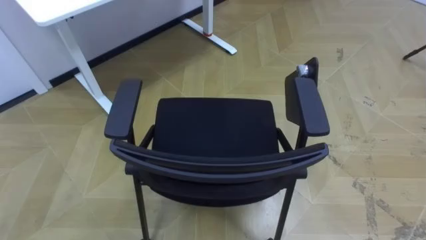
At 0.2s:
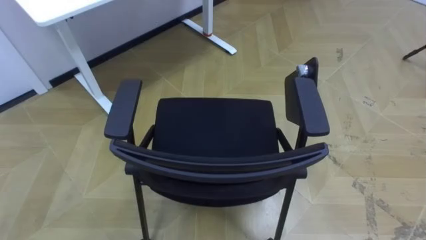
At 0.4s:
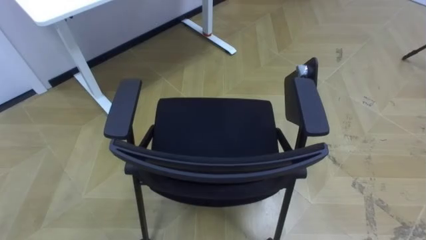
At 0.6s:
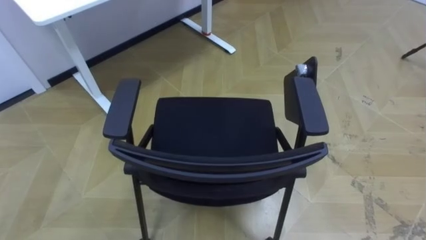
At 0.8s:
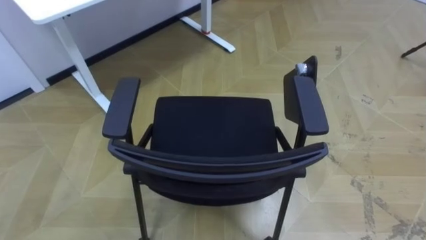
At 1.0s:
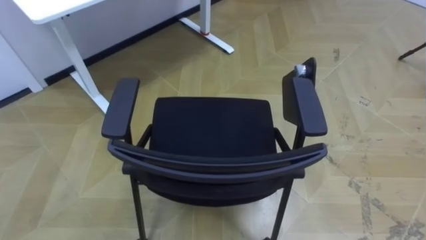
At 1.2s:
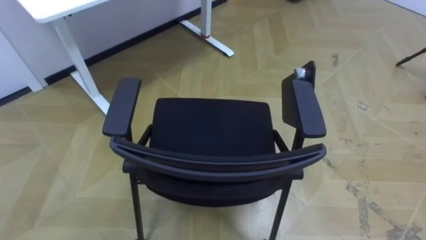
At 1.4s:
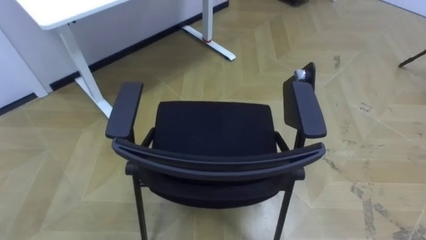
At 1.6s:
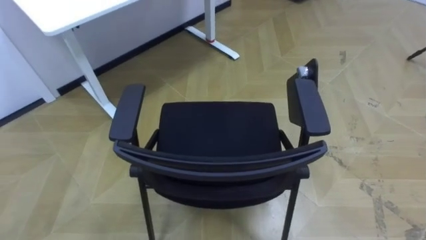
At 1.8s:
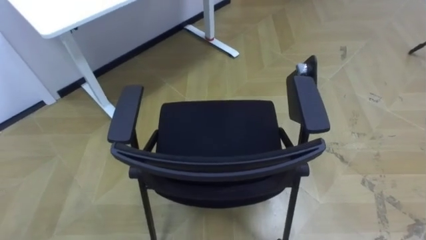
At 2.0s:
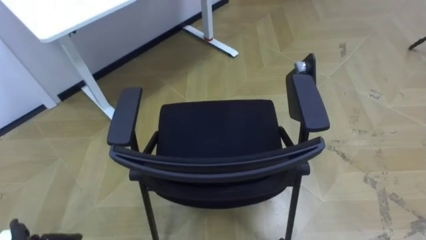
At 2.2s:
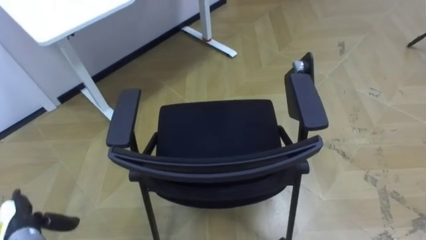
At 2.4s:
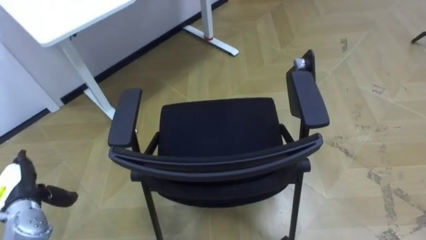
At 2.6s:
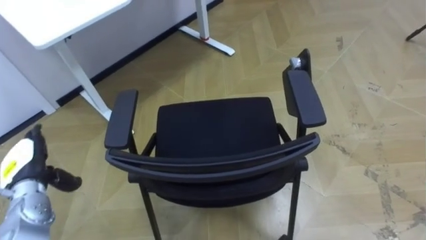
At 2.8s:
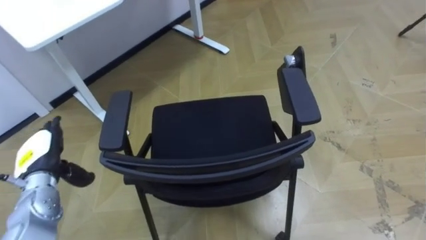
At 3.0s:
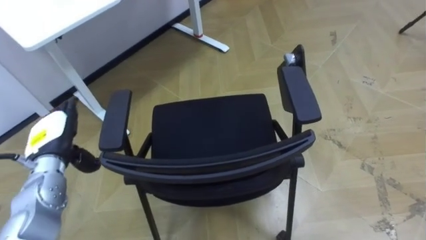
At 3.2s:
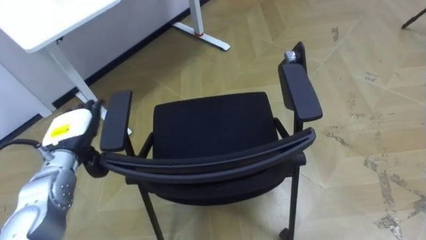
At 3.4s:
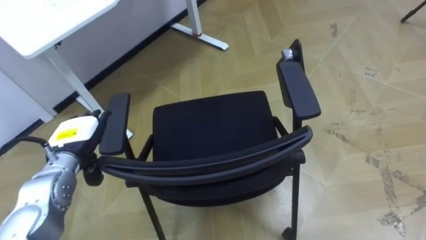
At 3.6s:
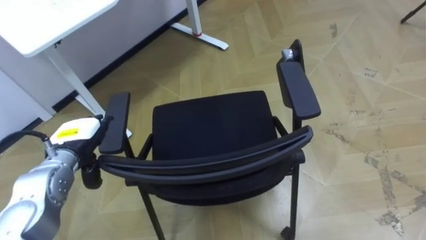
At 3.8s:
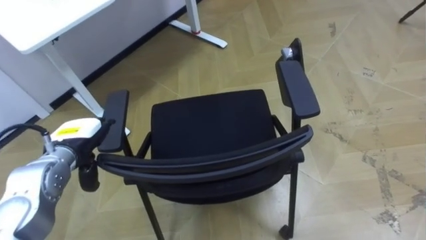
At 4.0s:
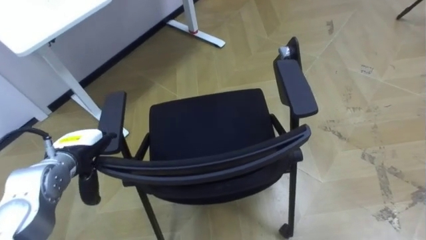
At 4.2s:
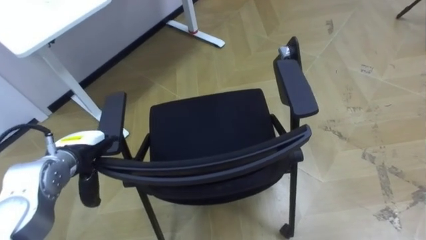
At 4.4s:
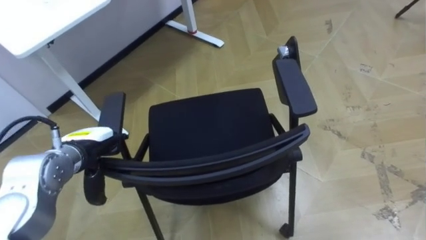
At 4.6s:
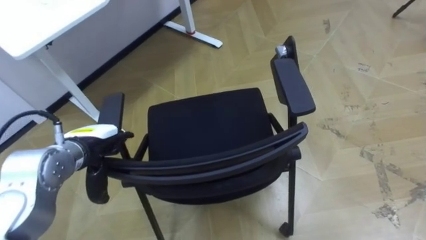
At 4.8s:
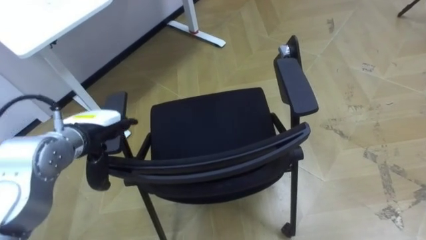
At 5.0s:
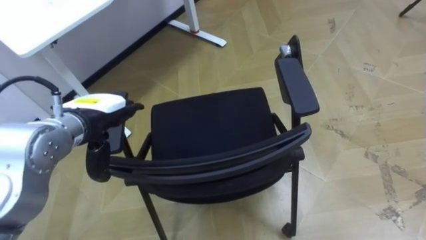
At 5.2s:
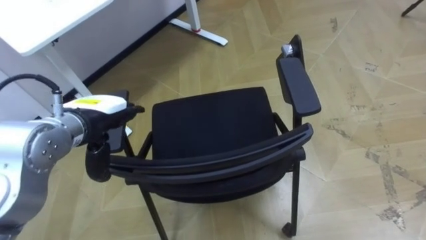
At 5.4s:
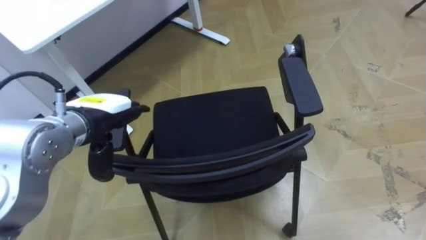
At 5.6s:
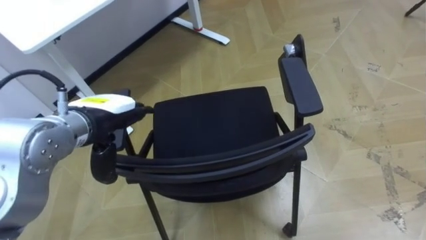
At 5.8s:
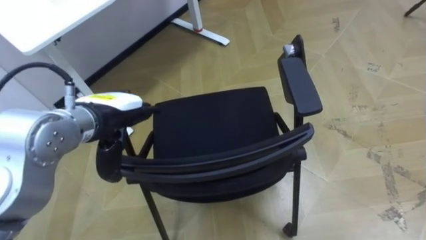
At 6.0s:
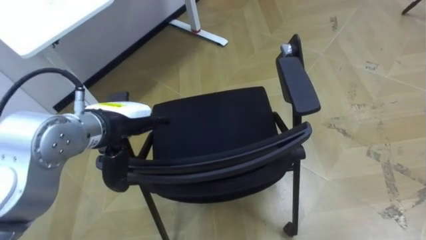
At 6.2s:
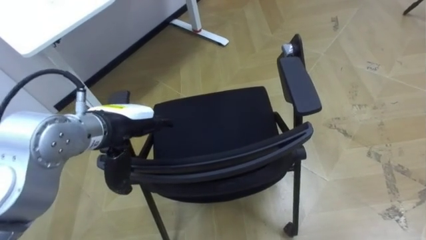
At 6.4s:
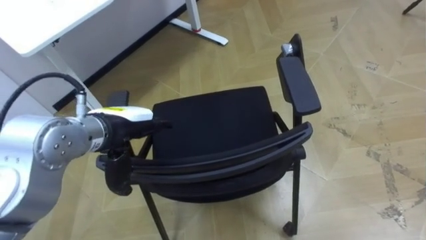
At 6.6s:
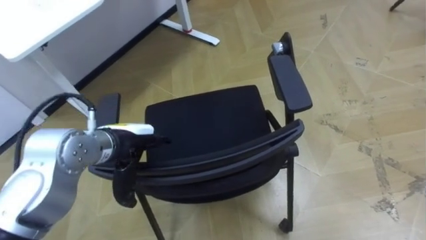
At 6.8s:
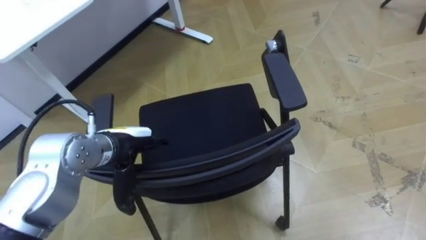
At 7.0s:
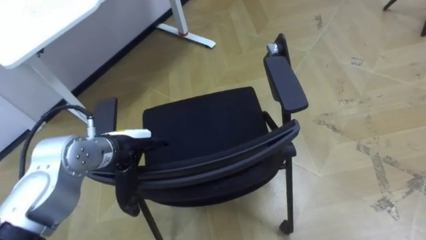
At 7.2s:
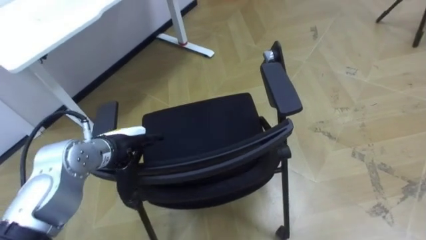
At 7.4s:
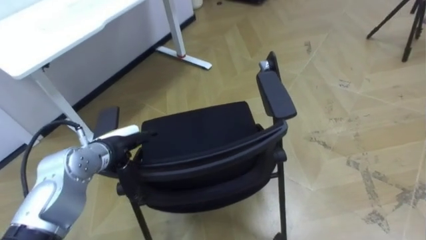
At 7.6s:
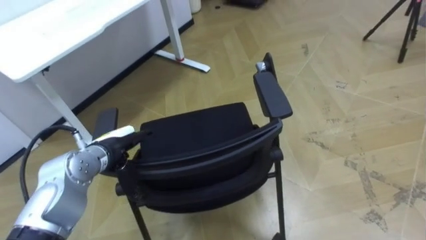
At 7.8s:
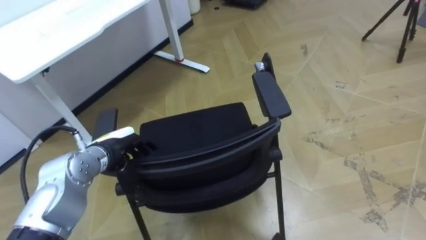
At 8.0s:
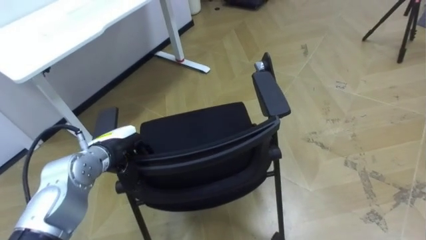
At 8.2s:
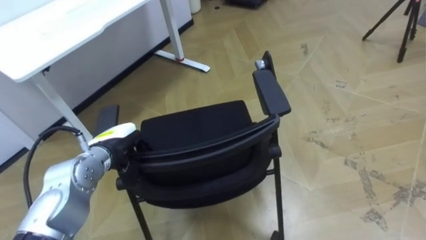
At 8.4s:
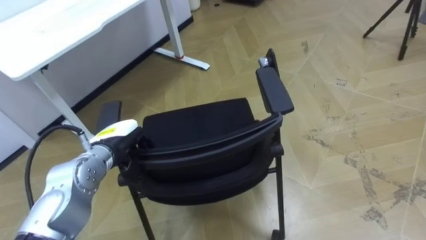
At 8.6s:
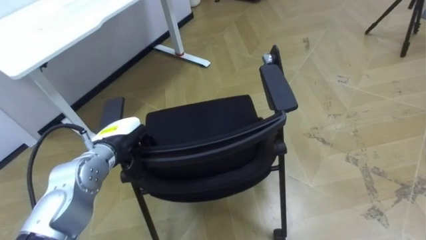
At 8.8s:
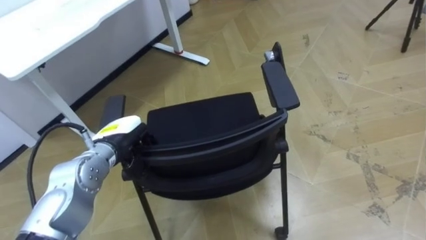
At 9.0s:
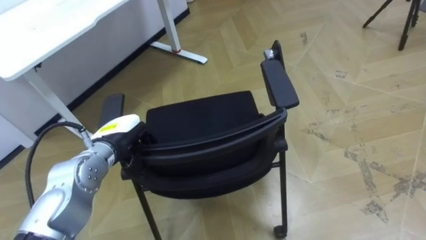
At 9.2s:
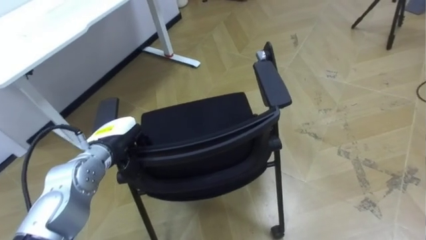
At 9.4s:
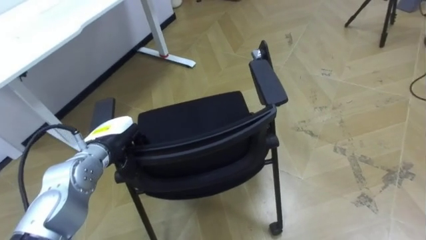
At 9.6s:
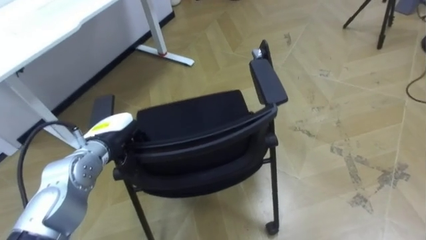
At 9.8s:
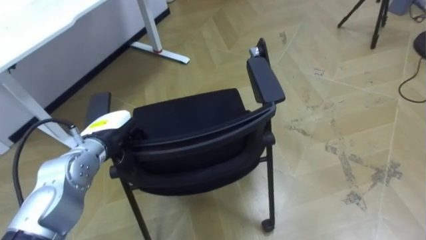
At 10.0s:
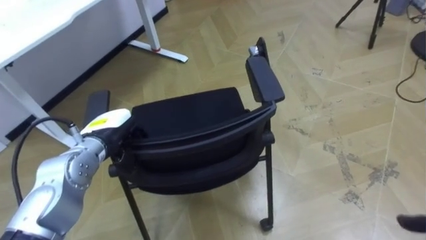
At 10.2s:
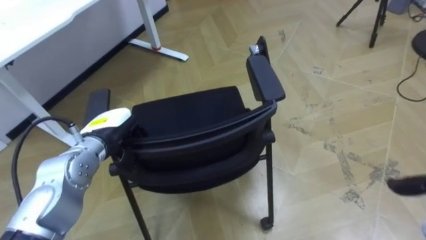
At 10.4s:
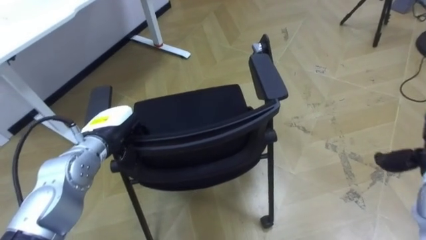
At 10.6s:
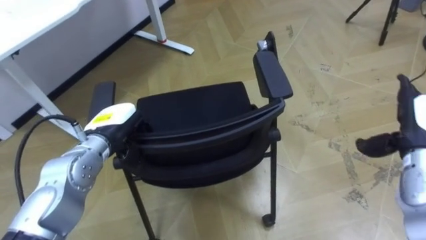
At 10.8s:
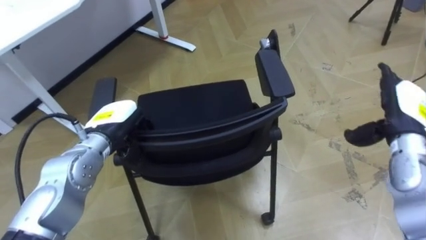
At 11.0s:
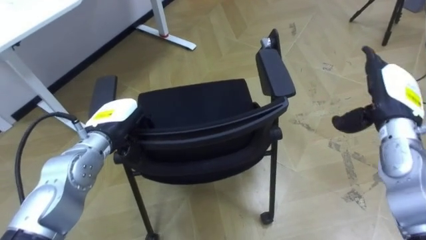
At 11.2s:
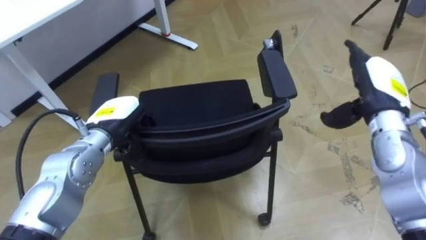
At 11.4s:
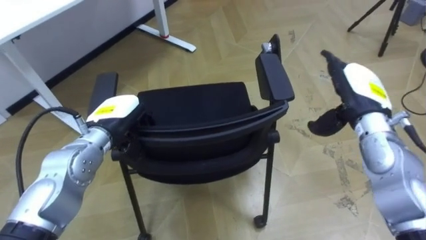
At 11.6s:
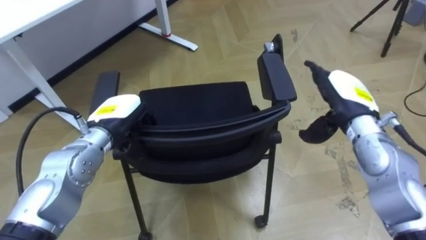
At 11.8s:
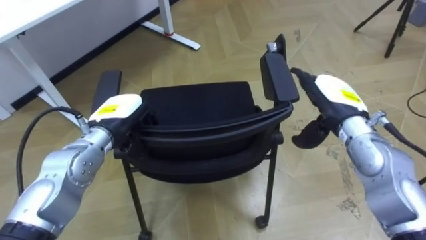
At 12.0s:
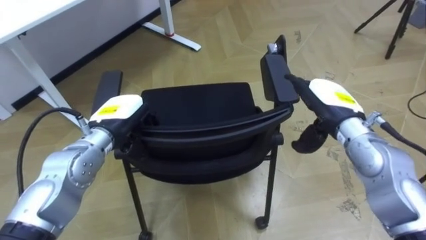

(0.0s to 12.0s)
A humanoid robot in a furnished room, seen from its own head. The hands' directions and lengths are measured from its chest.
Task of the whole recording: Push the chair under the table.
3.0s - 4.4s: The left hand heads to the right, covering roughly 5 cm.
4.4s - 6.0s: The left hand is displaced upward and to the right by approximately 10 cm.
6.0s - 7.6s: The left hand shifts approximately 10 cm downward.
7.6s - 9.0s: The left hand closes up.

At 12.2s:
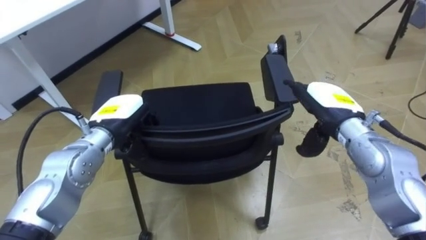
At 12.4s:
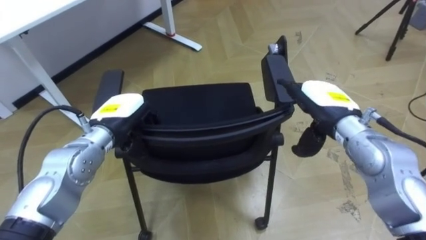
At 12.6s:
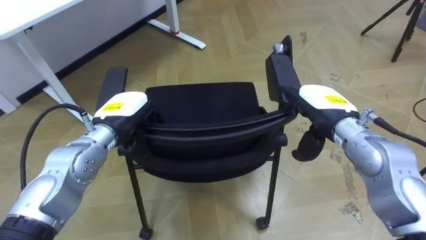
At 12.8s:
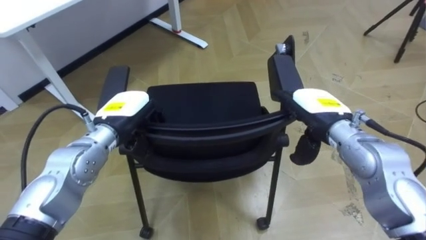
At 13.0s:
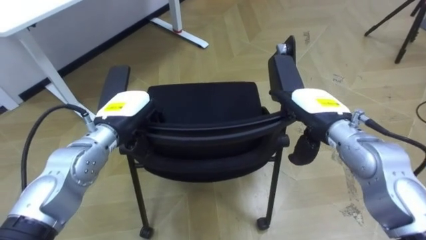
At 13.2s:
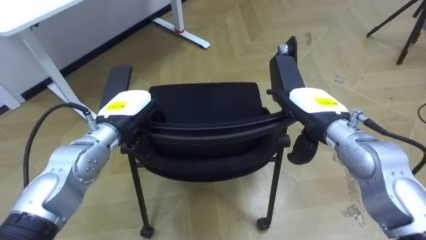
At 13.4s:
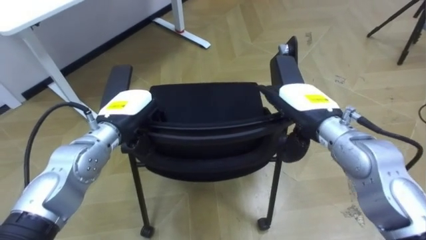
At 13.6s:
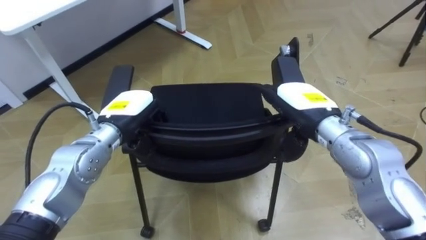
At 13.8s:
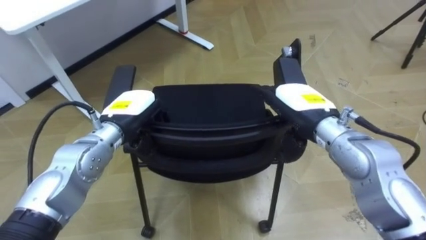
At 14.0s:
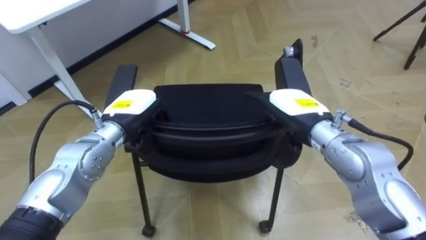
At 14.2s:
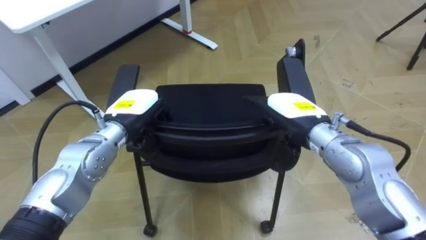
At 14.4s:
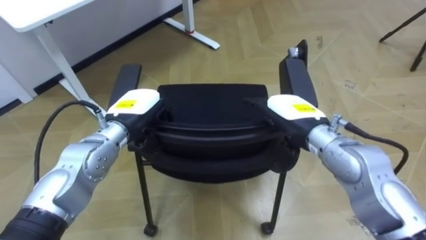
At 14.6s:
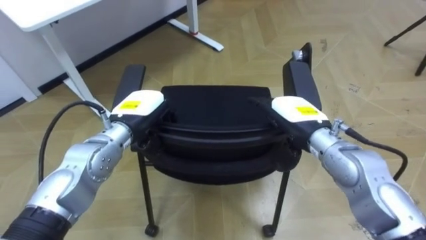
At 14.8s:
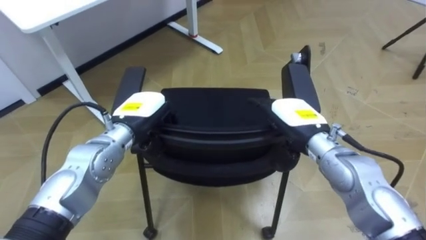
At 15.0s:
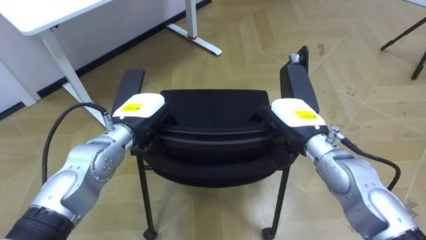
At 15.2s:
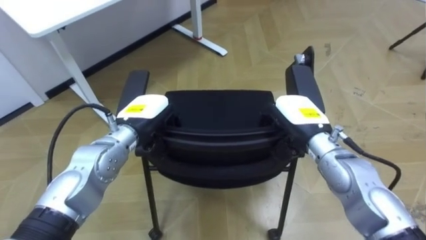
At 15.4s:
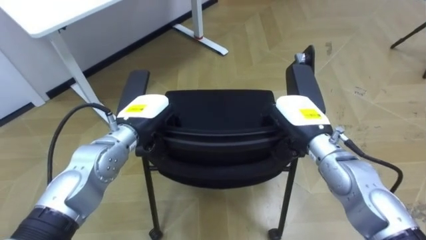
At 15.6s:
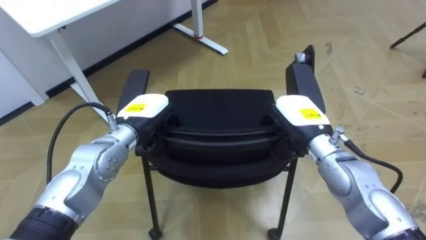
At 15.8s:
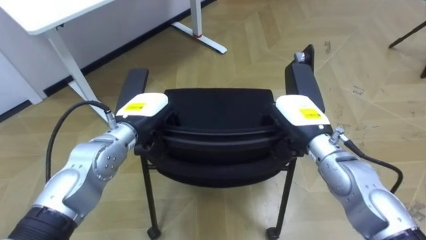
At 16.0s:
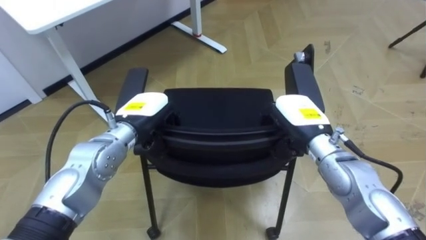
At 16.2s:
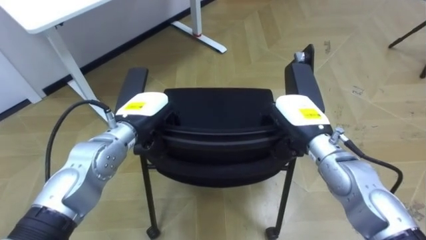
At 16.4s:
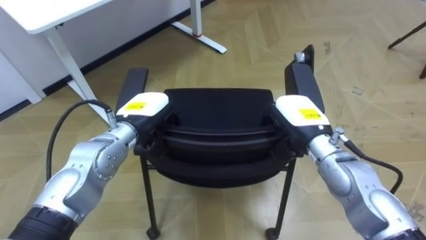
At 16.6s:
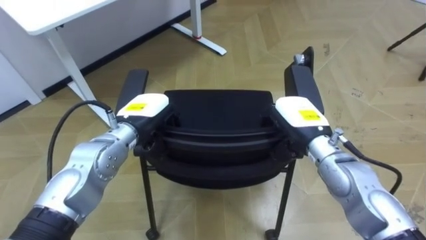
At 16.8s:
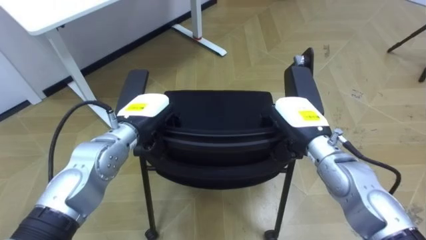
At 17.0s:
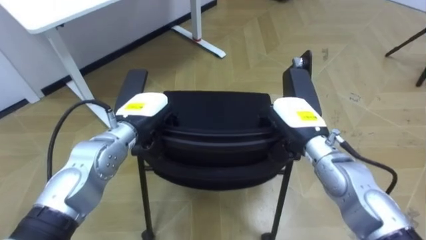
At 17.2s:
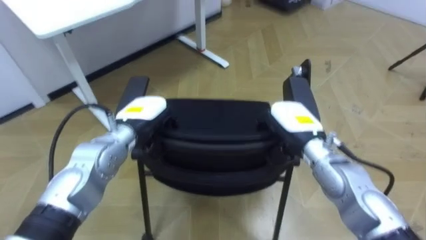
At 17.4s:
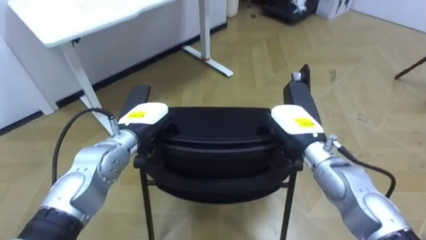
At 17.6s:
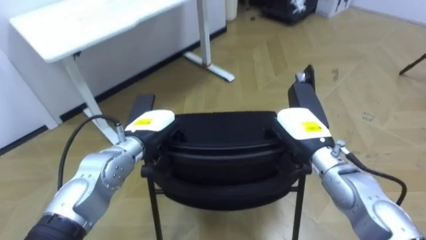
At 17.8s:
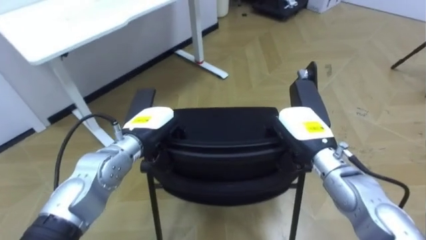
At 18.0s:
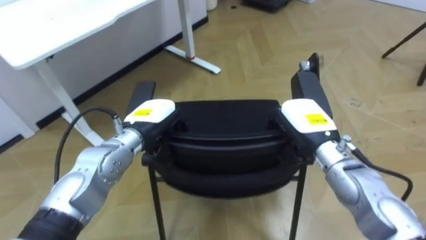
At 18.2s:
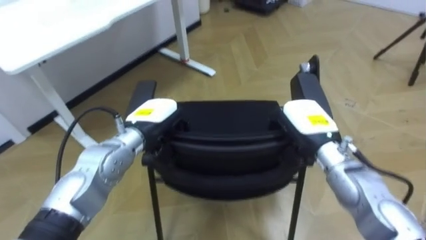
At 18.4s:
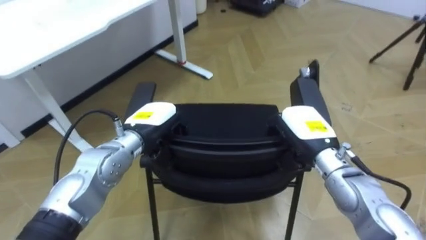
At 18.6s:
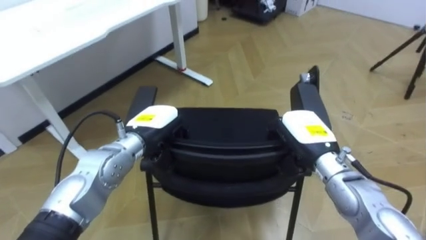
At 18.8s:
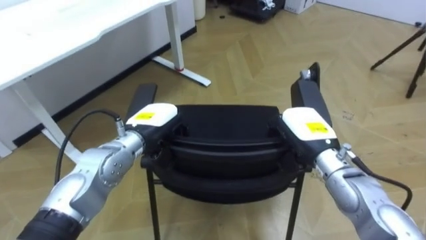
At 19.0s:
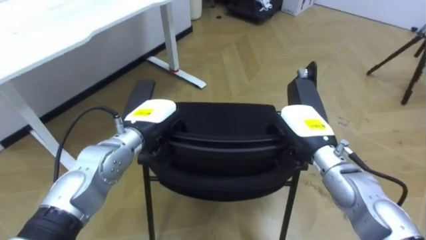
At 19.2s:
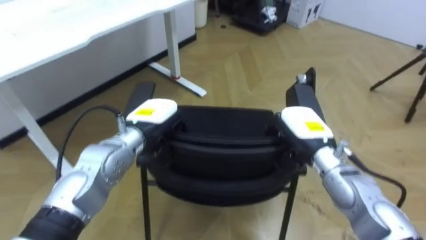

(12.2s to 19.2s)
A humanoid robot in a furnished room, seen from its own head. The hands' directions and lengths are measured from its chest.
Task of the whole recording: Push the chair under the table.
12.2s - 13.6s: The right hand is displaced to the left by about 5 cm.
